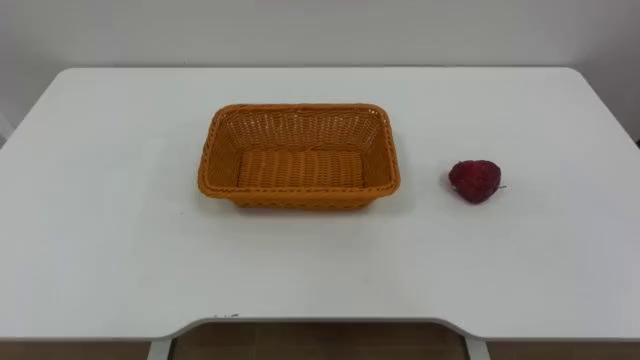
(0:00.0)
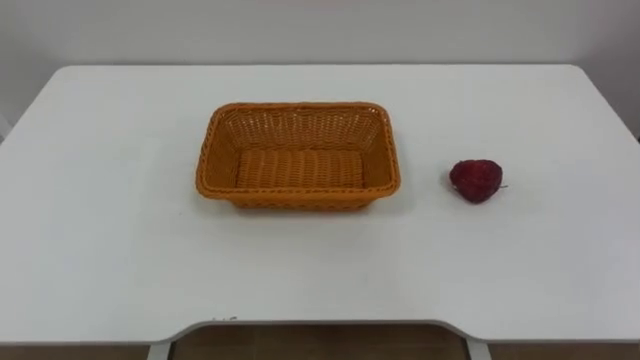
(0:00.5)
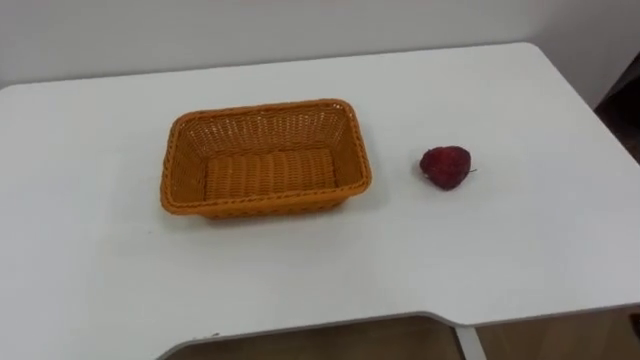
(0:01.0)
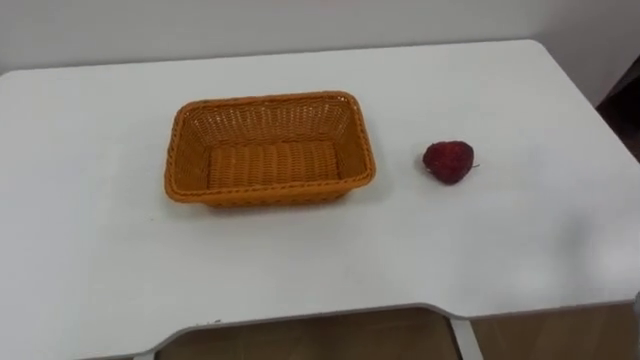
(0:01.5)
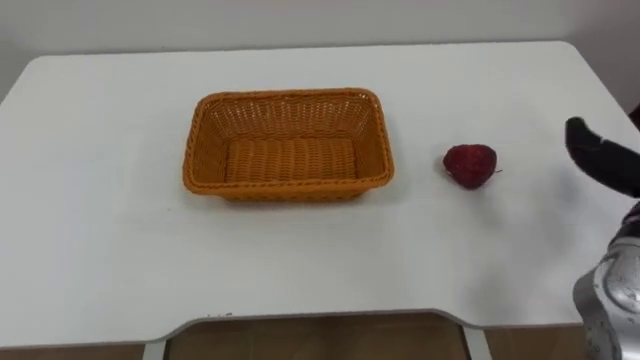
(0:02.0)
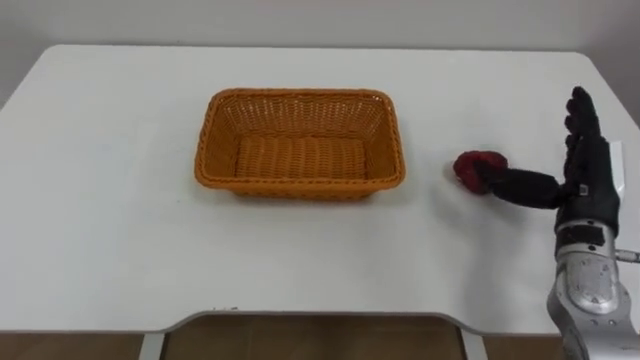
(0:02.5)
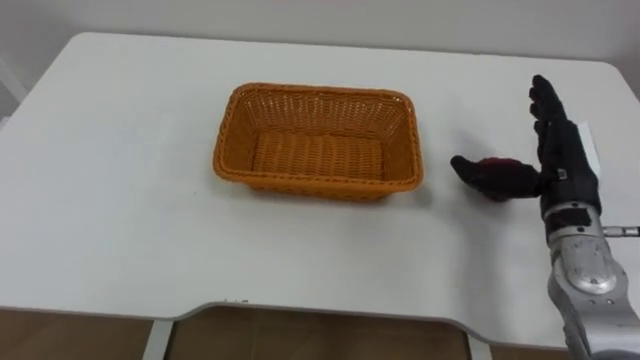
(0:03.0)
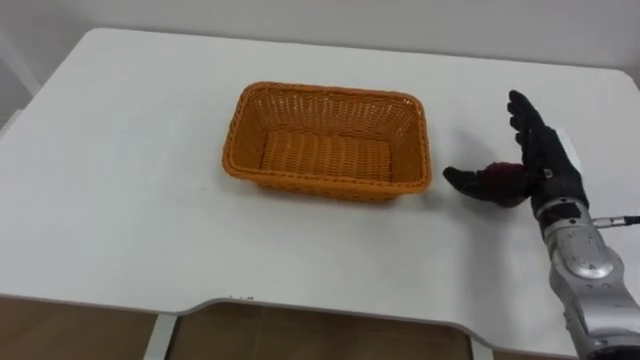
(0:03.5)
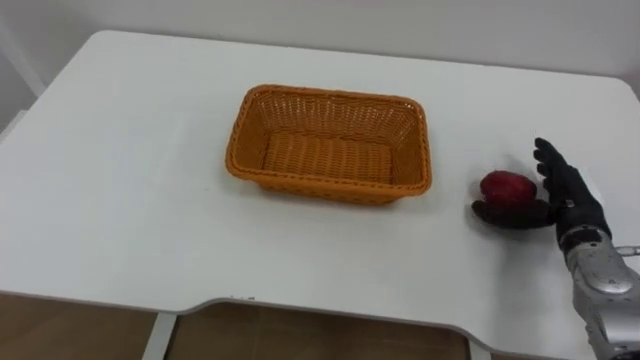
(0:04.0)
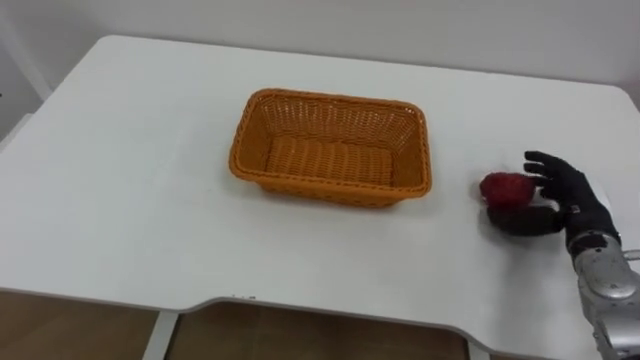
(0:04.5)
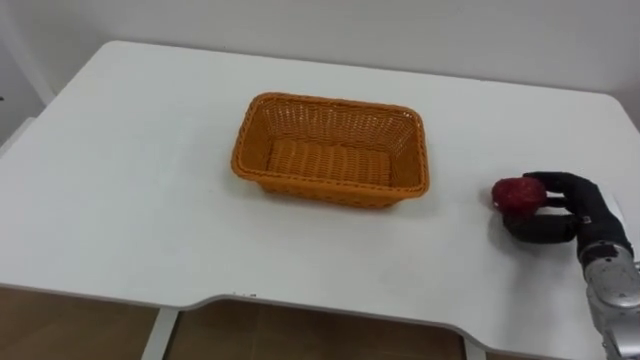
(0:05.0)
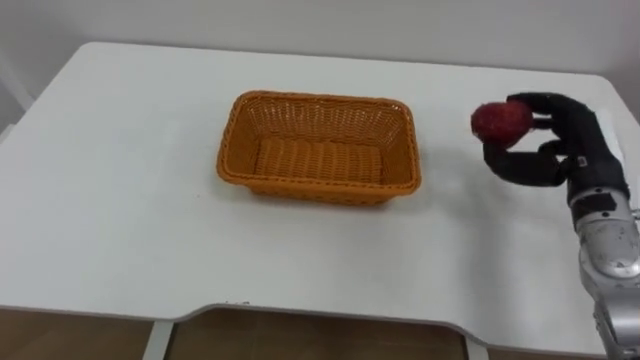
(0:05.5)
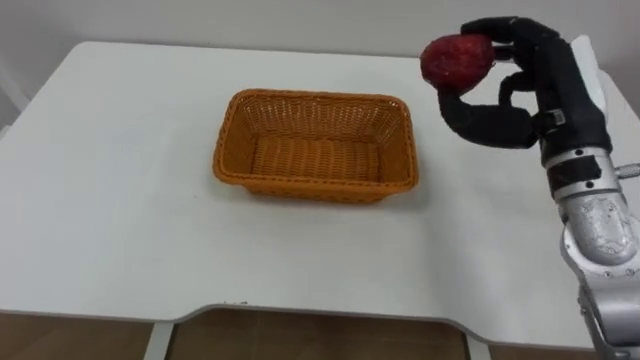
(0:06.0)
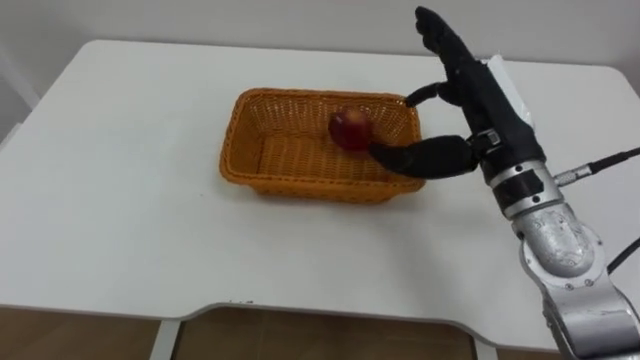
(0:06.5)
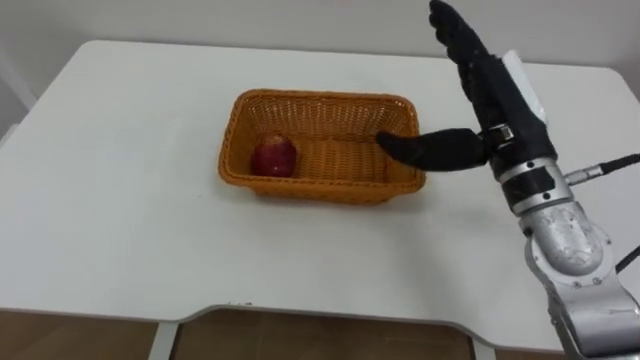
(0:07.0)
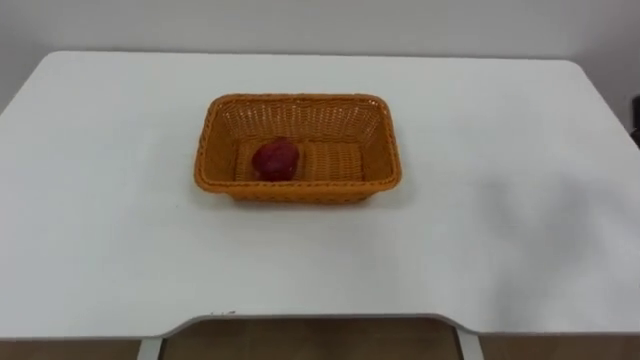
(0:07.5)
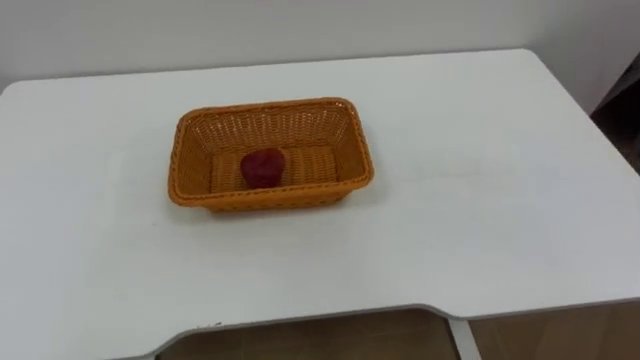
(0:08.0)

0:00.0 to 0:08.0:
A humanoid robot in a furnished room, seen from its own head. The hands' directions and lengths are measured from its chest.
Task of the whole recording: Pick the apple and place it in the box.
0:04.0 to 0:06.0: The right hand goes some 20 cm upward and to the left, and closes.

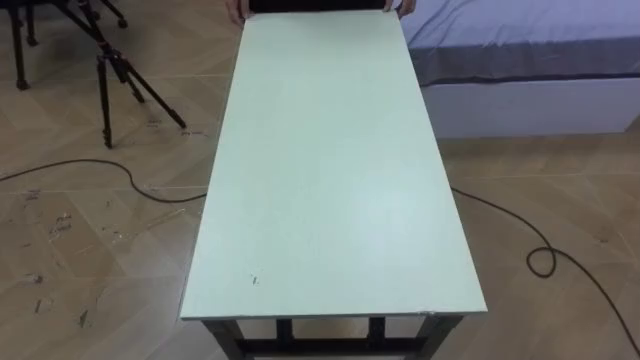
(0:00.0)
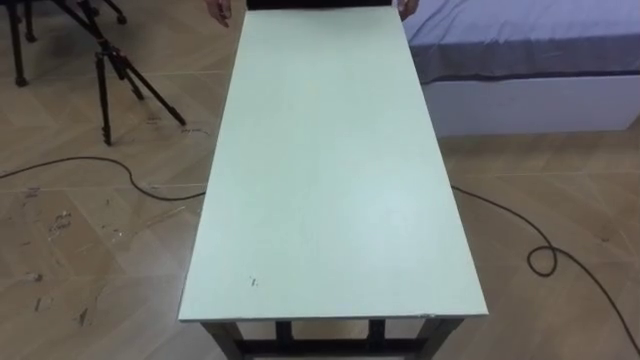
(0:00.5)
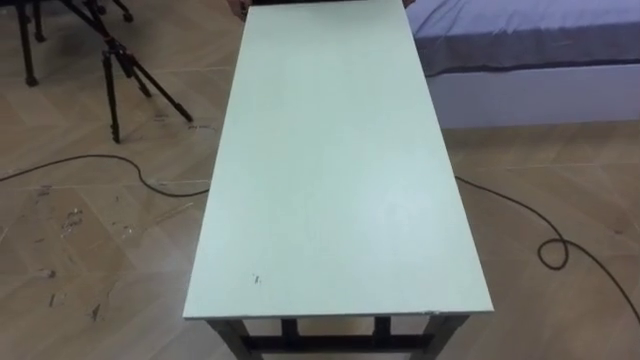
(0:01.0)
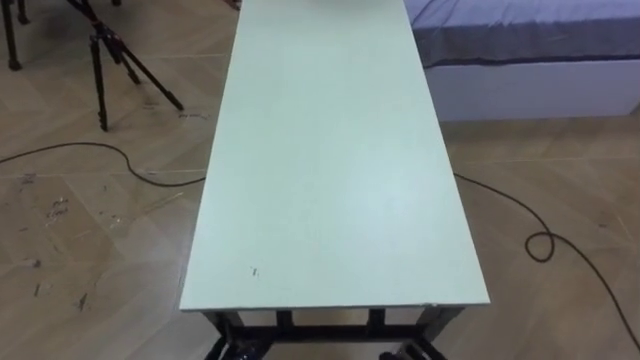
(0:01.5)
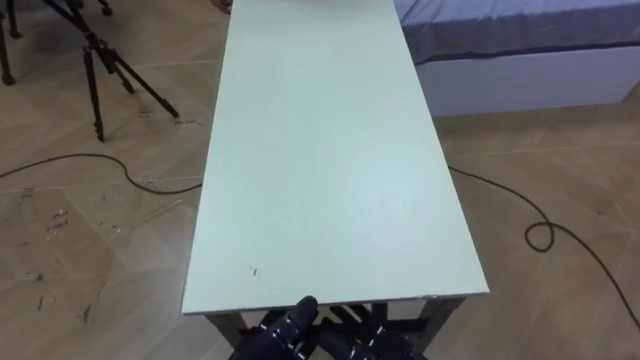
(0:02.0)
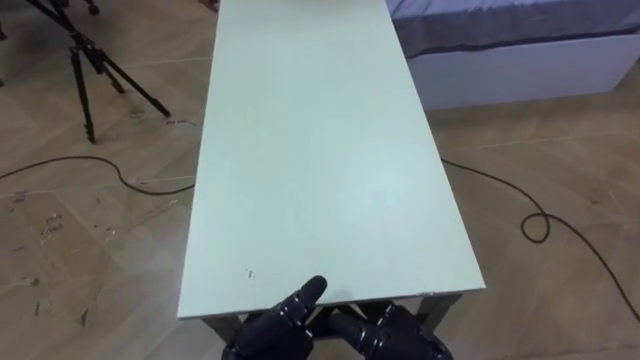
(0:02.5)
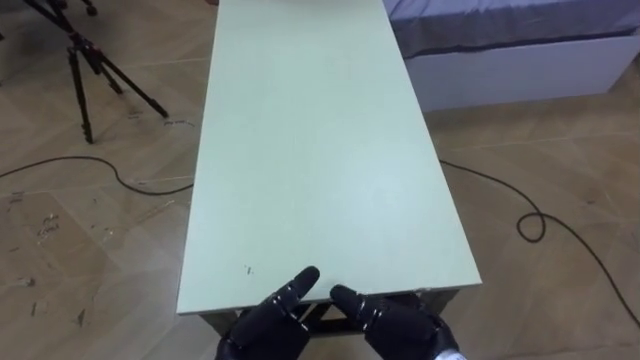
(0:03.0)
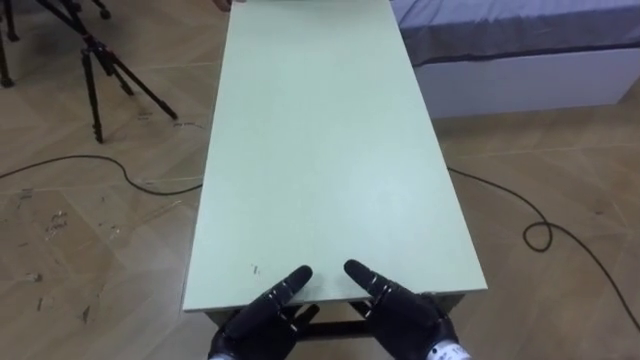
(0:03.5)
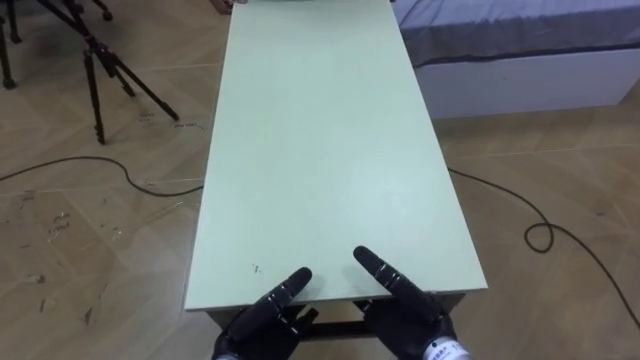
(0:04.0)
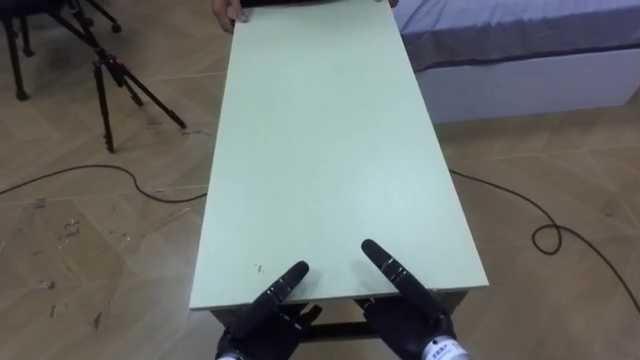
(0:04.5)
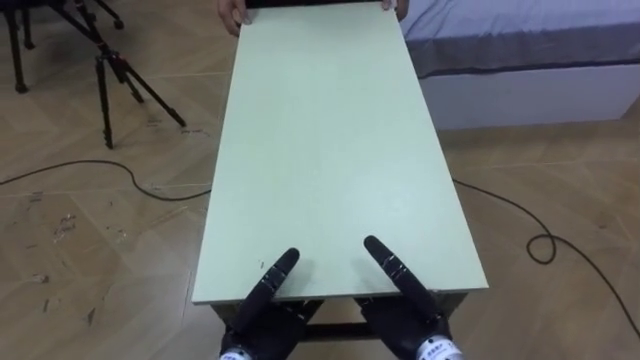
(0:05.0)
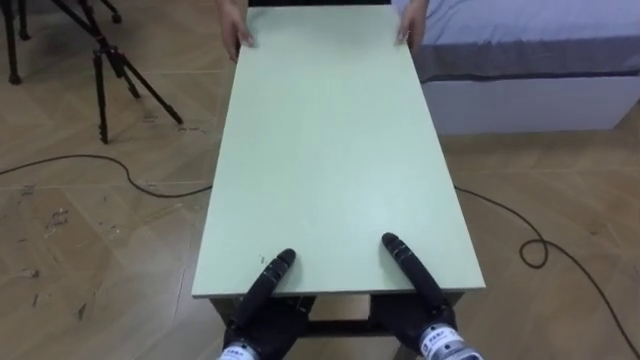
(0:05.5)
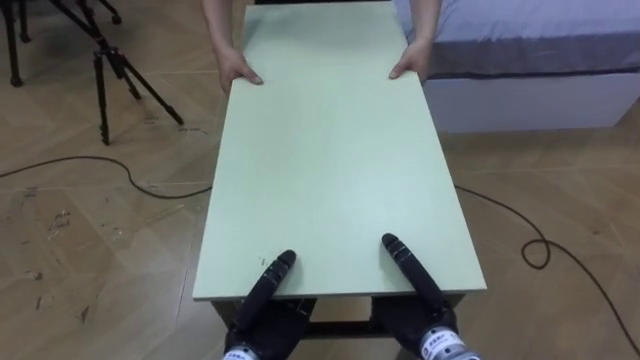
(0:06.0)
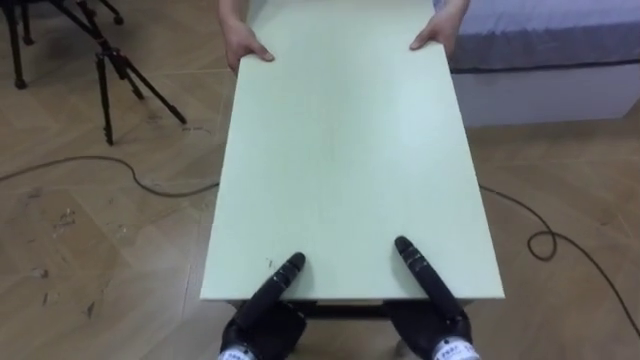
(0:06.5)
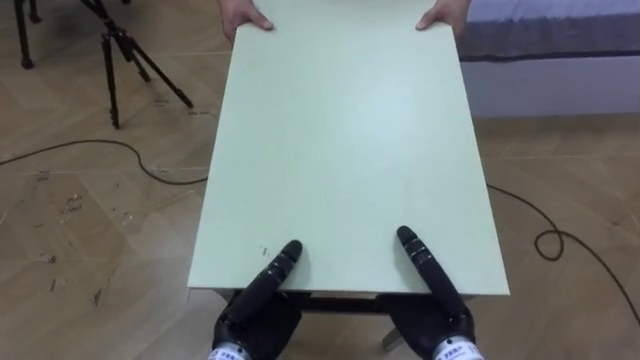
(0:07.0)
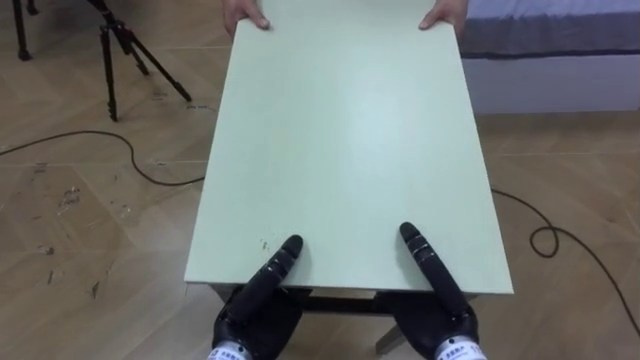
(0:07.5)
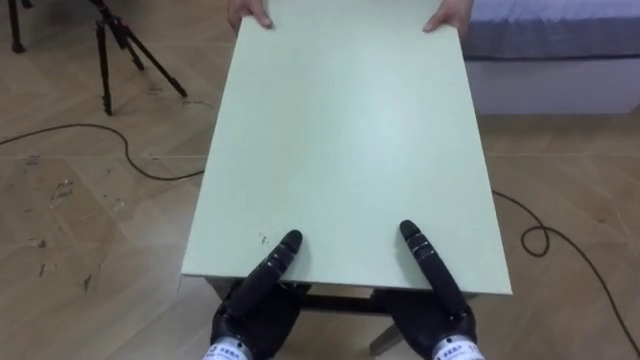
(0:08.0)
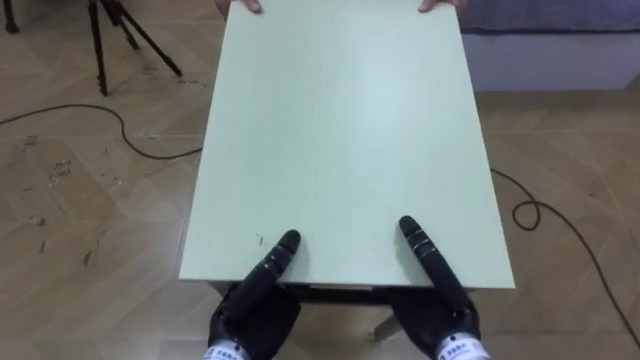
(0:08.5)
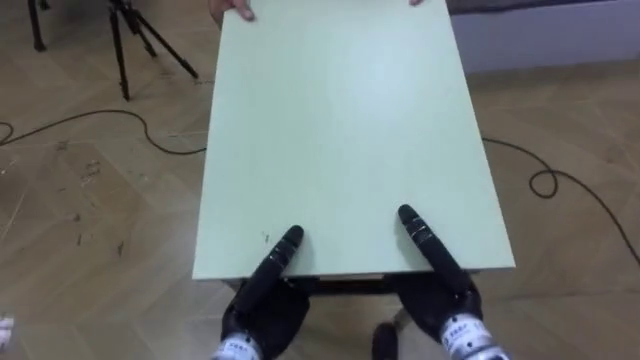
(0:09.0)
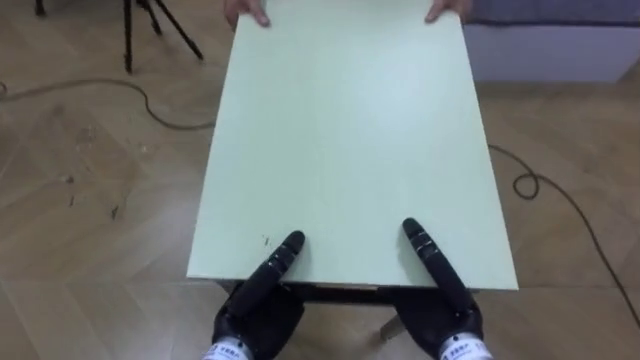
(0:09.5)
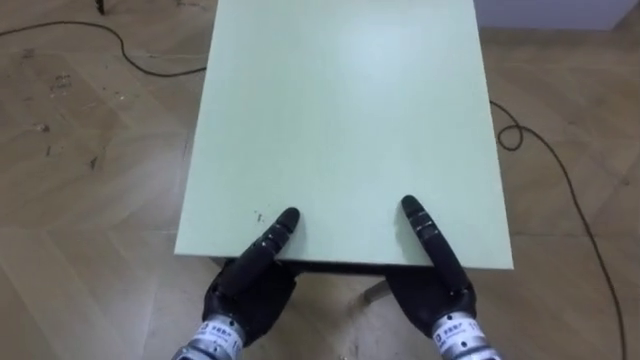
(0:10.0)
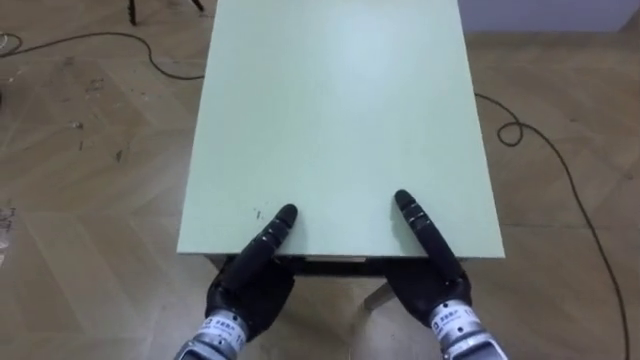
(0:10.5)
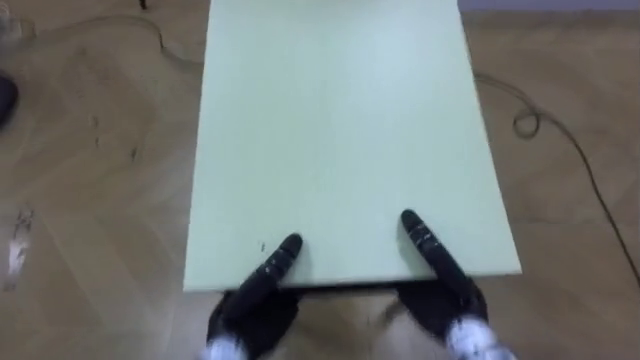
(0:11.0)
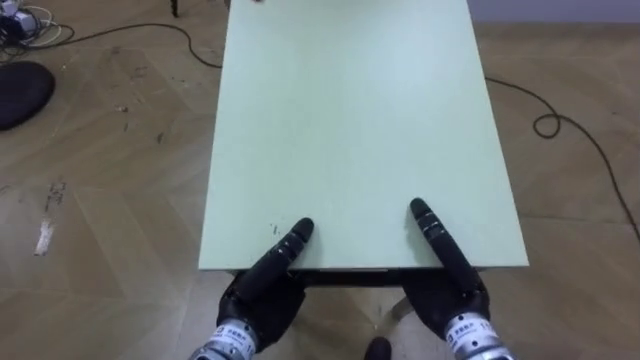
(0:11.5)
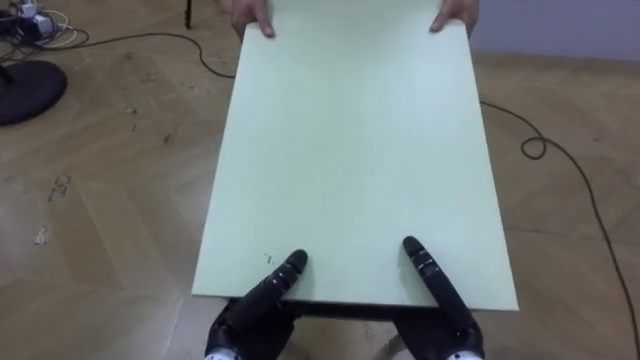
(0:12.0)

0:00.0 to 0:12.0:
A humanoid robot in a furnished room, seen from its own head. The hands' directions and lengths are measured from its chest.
Task of the whole recording: Move the table to the back left with someone.
0:04.0 to 0:06.0: The right hand closes its fingers, while the left hand closes.
0:06.0 to 0:08.0: The right hand ends up roughly 5 cm from where it was. The left hand is displaced upward by some 5 cm.
